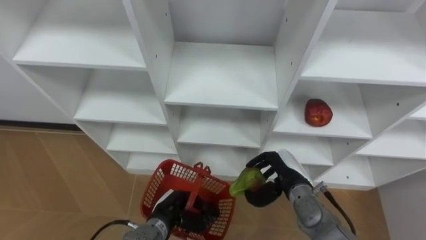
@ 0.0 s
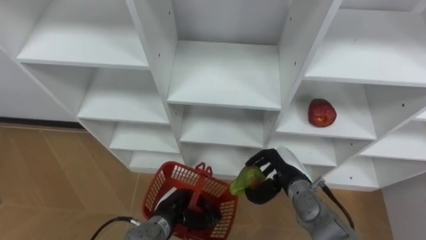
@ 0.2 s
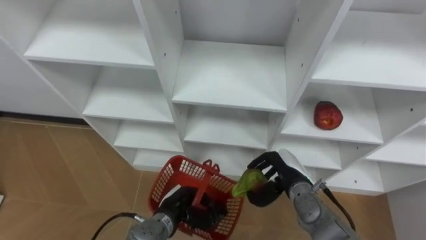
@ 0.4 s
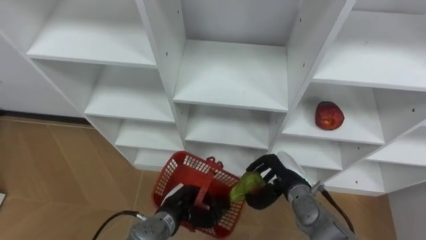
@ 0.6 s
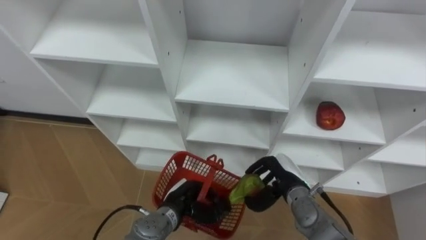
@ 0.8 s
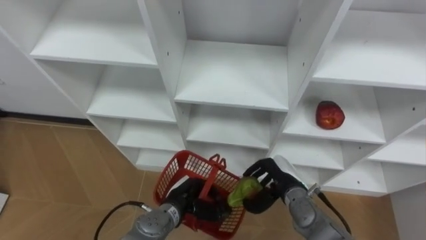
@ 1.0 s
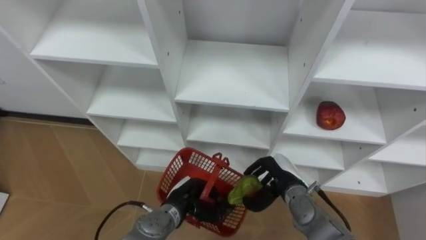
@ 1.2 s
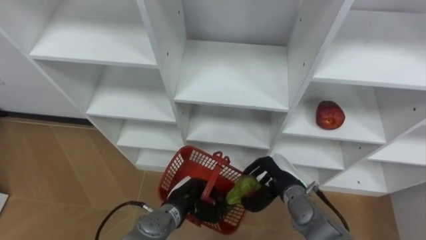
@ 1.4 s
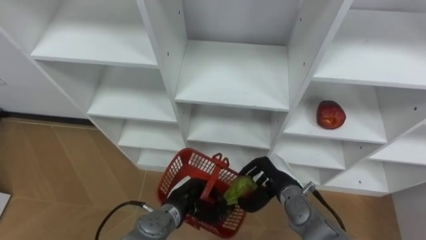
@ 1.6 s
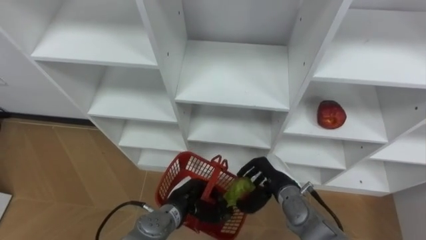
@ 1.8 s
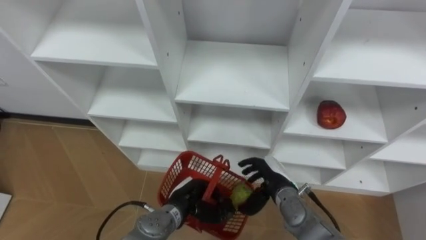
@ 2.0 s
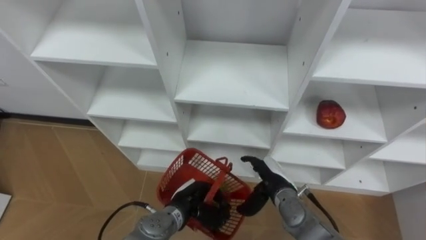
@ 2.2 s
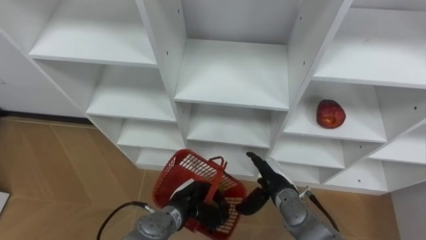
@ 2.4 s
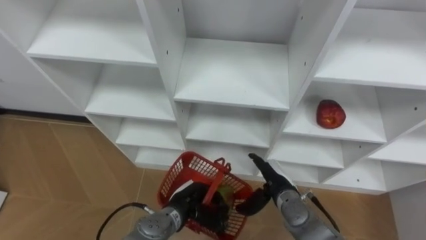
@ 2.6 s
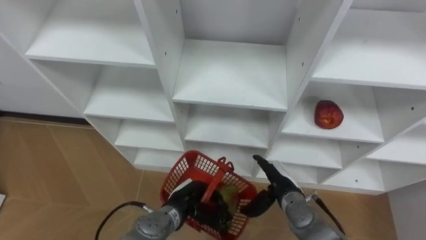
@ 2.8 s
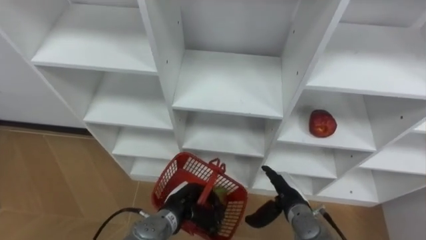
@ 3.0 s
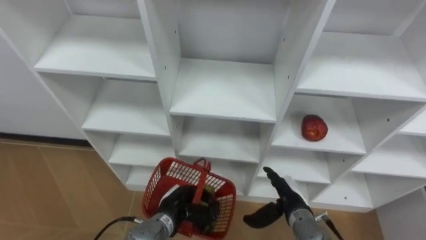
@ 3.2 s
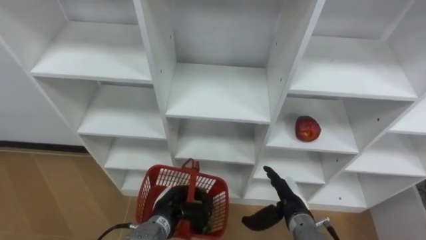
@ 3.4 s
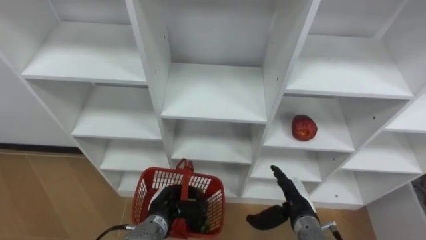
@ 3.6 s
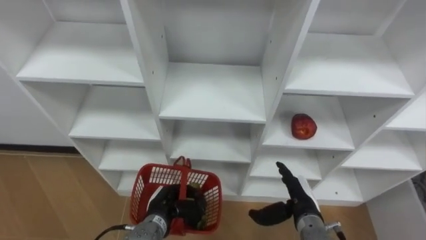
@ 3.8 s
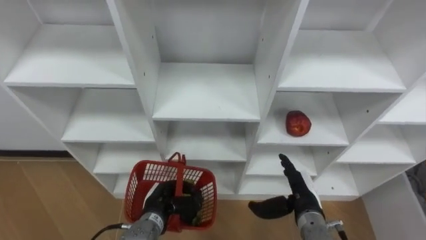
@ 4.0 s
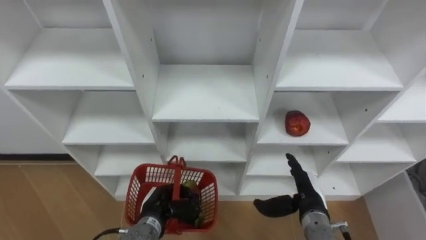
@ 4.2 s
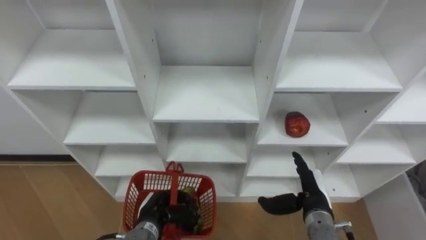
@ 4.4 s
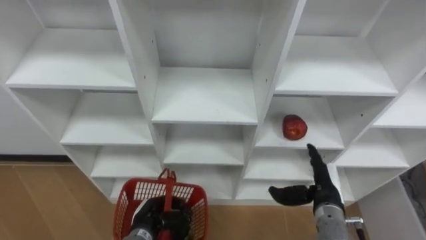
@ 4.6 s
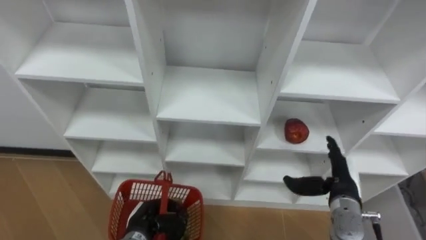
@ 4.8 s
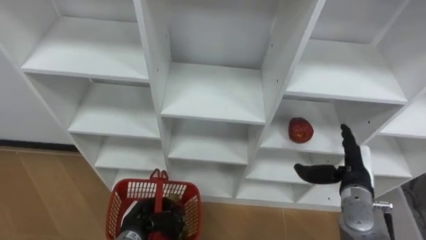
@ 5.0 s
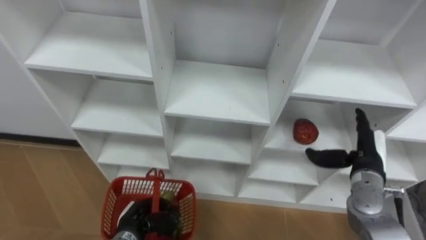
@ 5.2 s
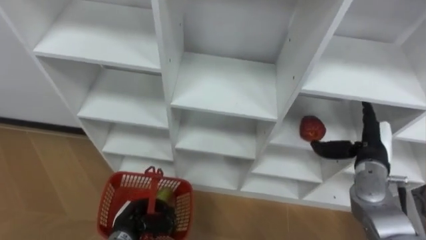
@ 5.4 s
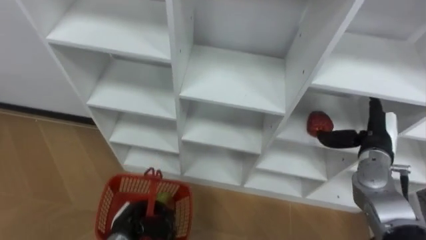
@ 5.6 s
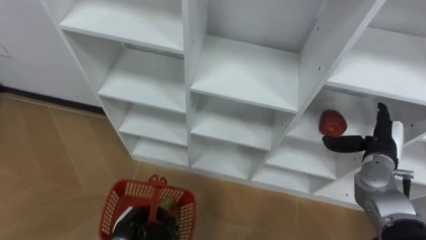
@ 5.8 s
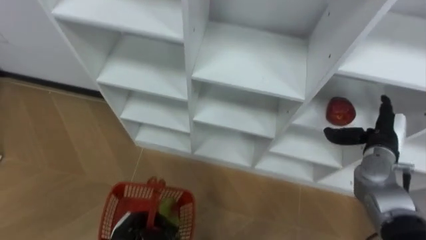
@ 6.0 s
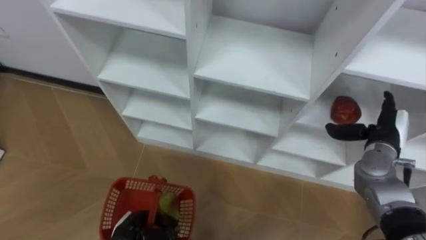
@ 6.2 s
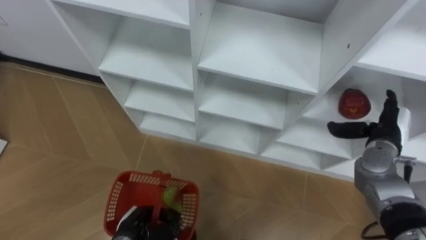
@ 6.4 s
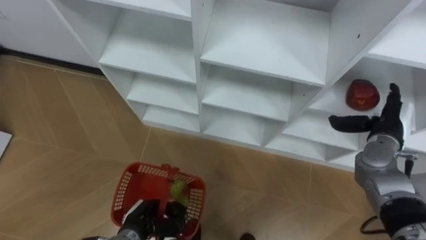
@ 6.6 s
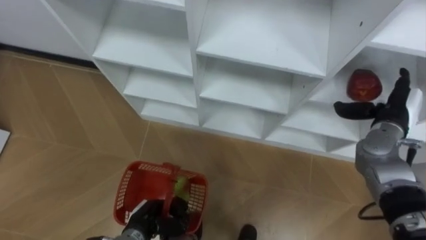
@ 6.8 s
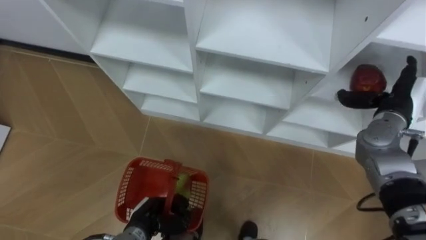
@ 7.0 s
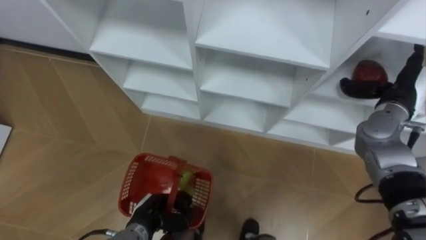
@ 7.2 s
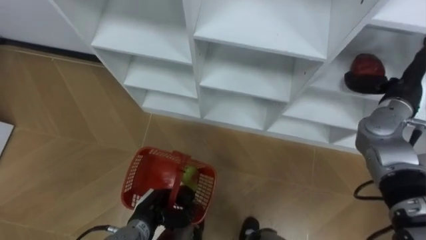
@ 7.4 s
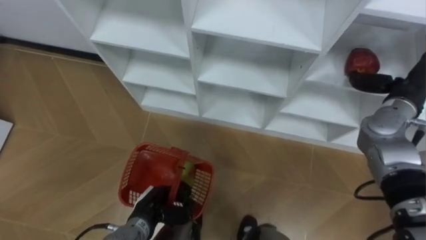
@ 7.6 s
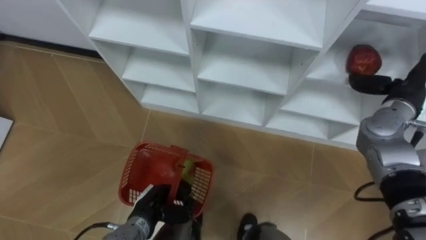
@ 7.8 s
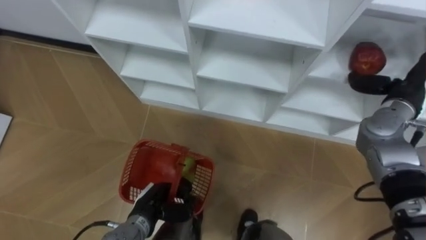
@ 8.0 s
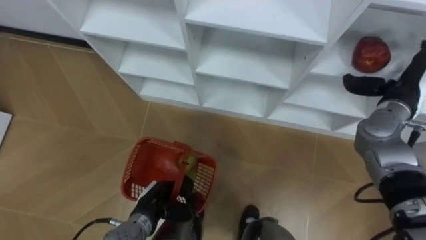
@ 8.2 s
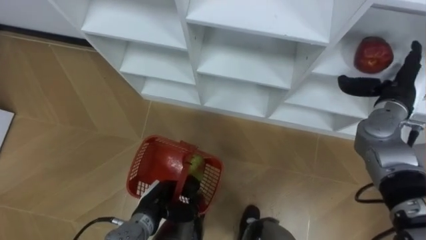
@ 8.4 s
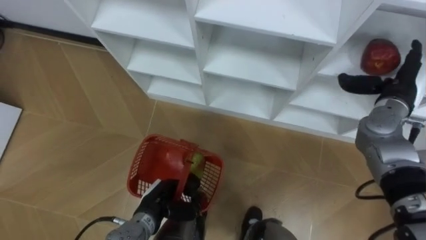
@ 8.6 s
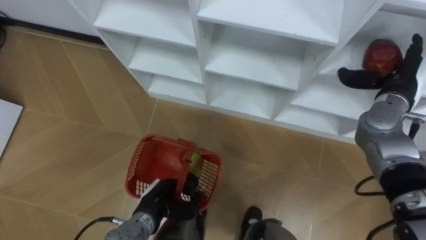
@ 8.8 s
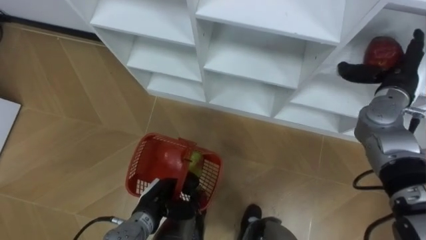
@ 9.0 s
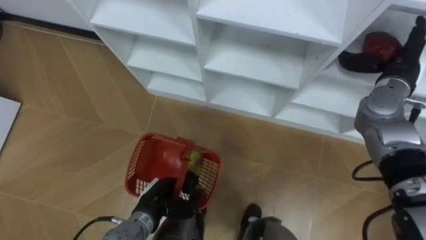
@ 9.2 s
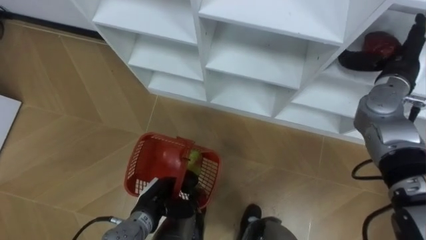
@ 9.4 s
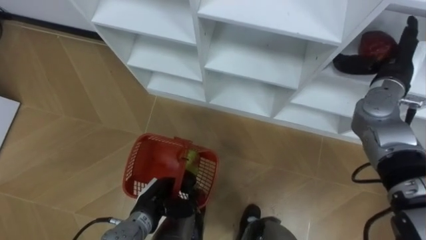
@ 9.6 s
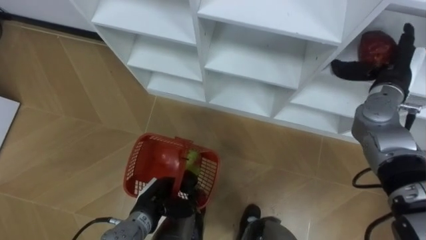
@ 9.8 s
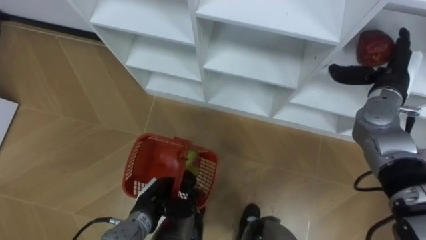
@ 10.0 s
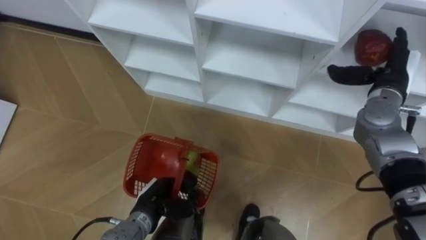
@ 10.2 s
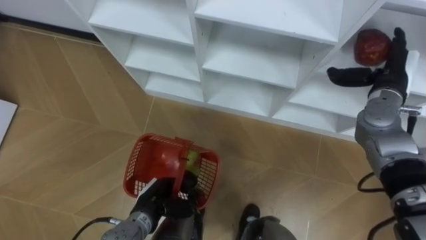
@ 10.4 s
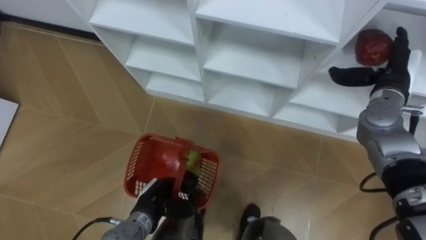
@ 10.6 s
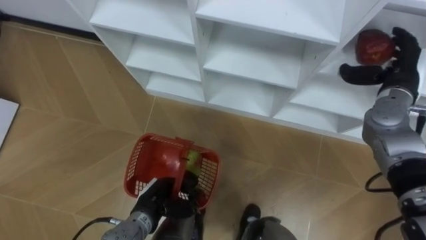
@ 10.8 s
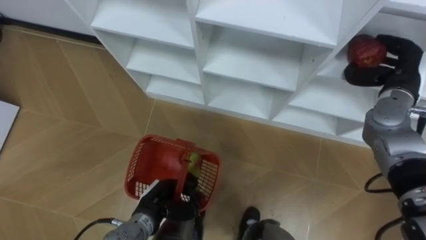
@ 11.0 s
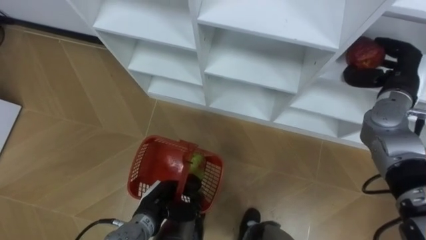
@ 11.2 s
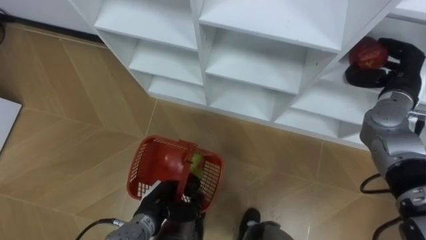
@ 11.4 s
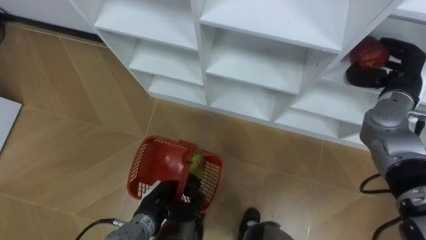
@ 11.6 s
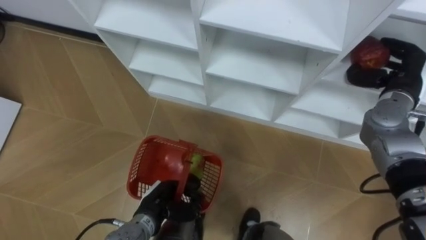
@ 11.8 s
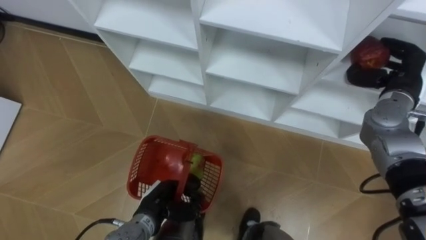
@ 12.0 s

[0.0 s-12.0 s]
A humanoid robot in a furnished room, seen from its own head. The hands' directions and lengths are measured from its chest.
Task of the whole recording: Hold the basket and collect the fruits from 3 different cells of the closet into it.
1.6 to 3.0 s: The right hand opens.
3.0 to 4.4 s: The left hand heads to the left, covering roughly 5 cm; the right hand changes place by about 5 cm.
4.4 to 6.0 s: The right hand heads to the right, forward and upward, covering roughly 15 cm. Meanwhile the left hand goes about 5 cm to the left.
6.0 to 7.6 s: The right hand shifts approximately 10 cm upward, while the left hand shifts by approximately 5 cm.
9.0 to 10.4 s: The hands move only a little.
10.4 to 12.0 s: The right hand closes up.

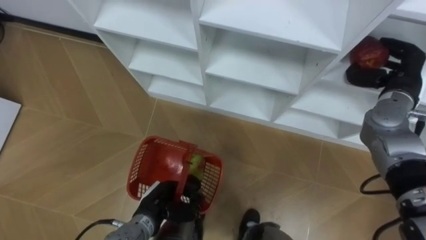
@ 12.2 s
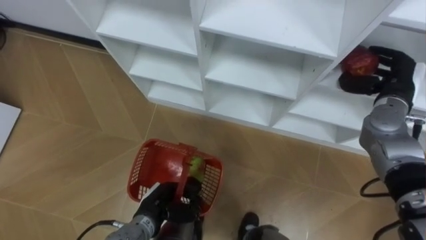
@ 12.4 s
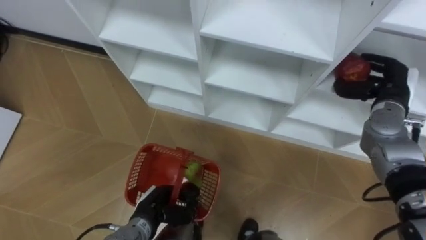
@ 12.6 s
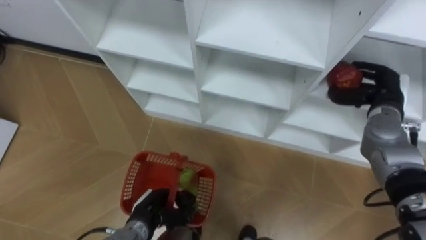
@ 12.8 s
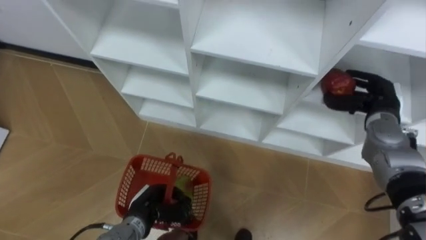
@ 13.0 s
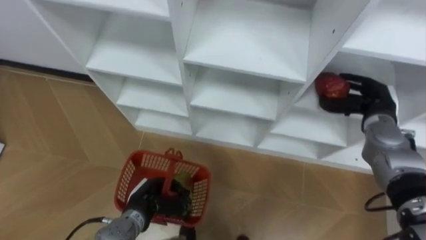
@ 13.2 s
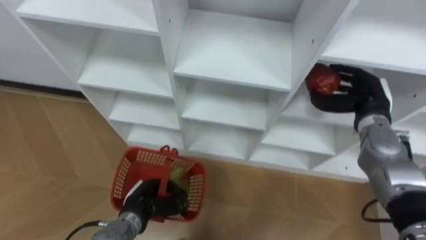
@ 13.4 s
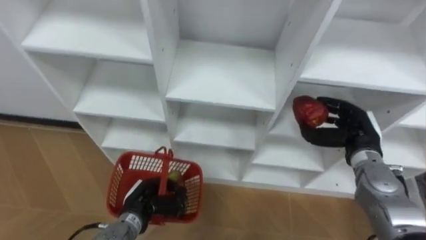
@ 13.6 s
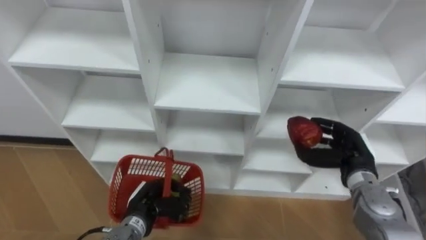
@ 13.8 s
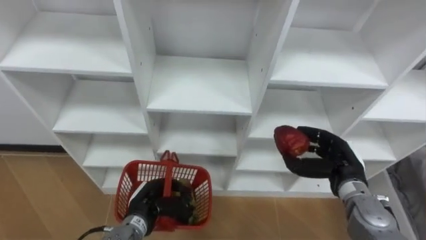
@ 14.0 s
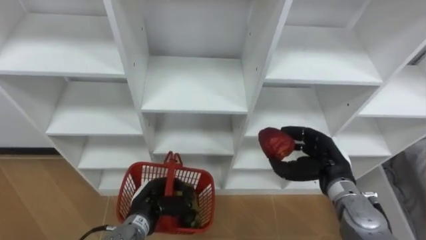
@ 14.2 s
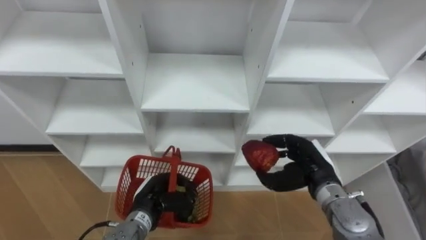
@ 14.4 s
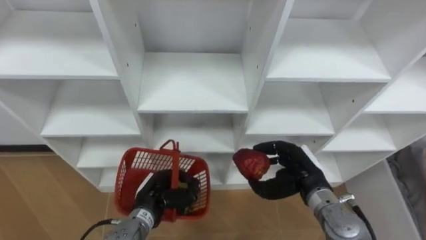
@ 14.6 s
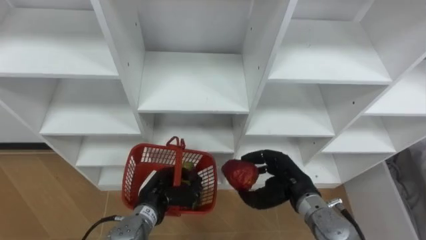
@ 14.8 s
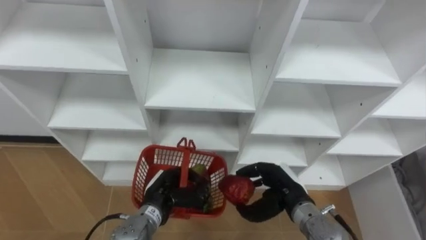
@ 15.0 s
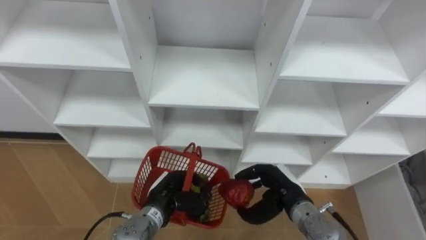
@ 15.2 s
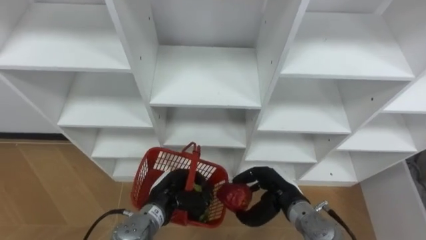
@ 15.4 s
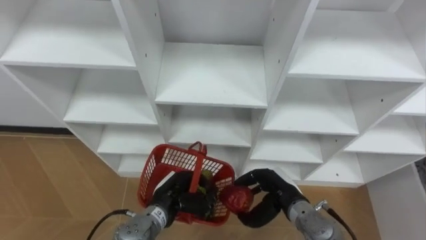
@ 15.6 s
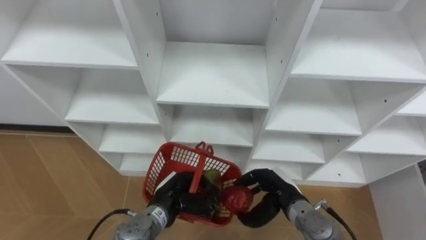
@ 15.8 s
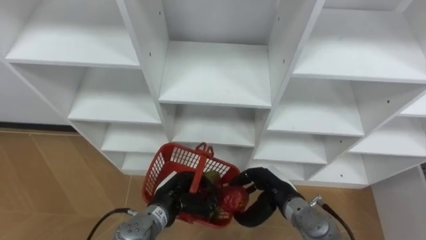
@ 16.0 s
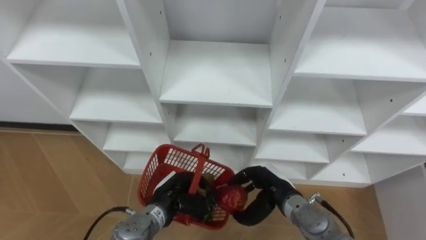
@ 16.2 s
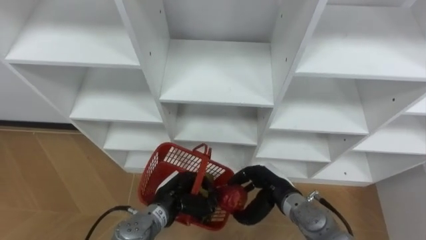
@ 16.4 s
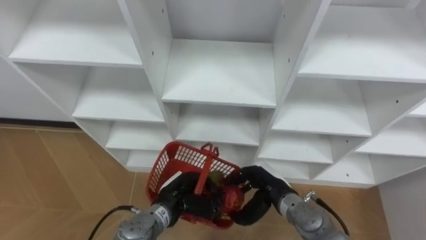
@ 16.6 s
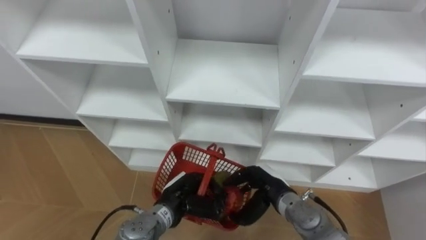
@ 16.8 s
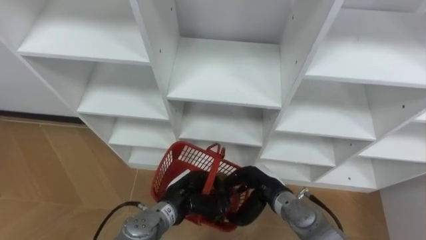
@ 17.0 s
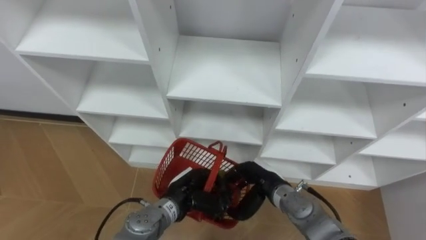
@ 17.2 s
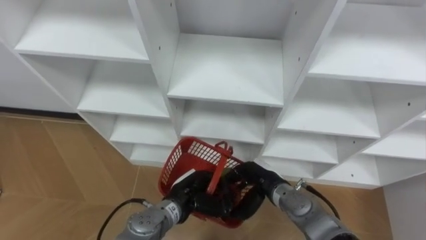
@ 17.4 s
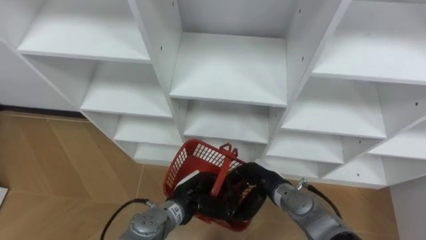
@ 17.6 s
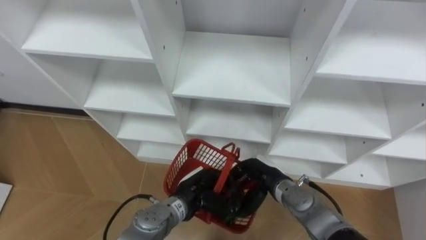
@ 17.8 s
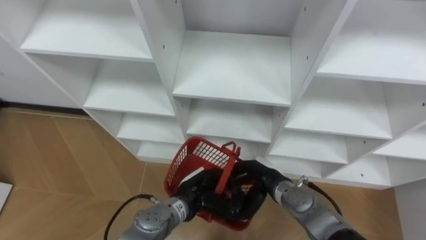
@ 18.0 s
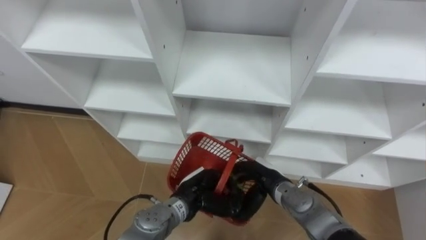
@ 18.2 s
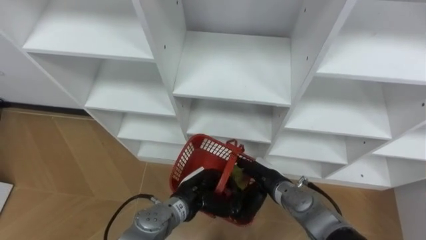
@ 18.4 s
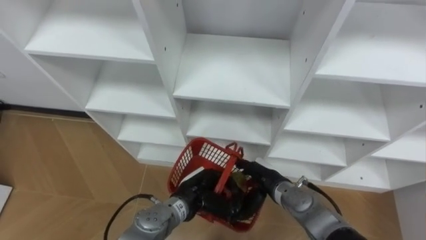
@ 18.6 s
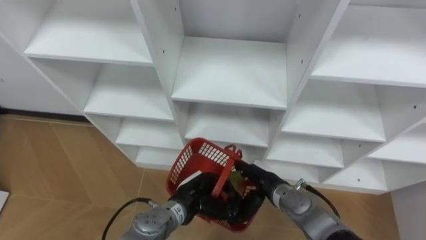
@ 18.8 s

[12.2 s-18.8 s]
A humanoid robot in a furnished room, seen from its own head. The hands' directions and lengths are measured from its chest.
Task of the whole recording: Hold the basket and collect the fruits from 3 different cells of the closet into it.
12.2 to 13.8 s: The right hand shifts about 15 cm downward, backward and to the left.
13.8 to 15.4 s: The left hand changes place by approximately 5 cm. Meanwhile the right hand shifts roughly 15 cm to the left and downward.
17.2 to 18.8 s: The right hand opens its fingers.
